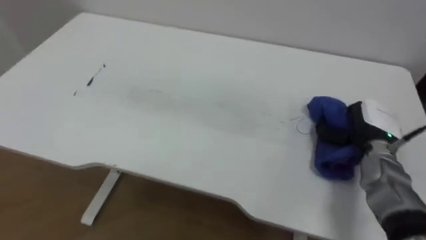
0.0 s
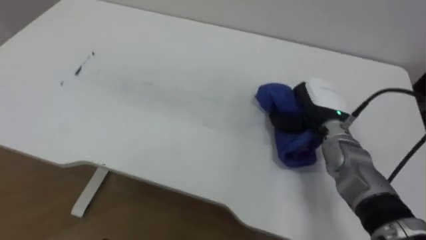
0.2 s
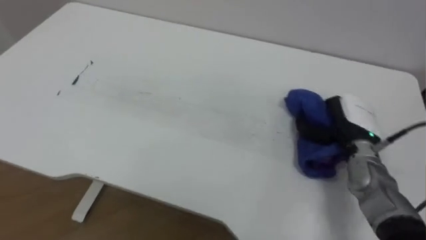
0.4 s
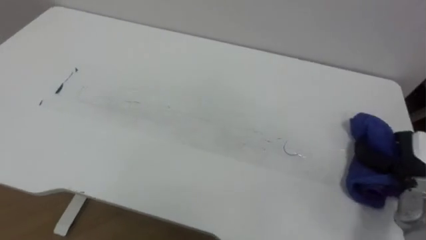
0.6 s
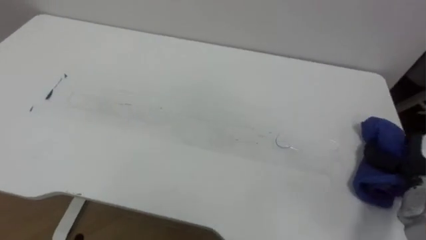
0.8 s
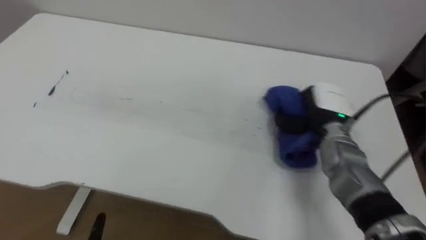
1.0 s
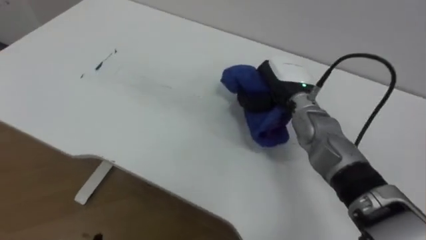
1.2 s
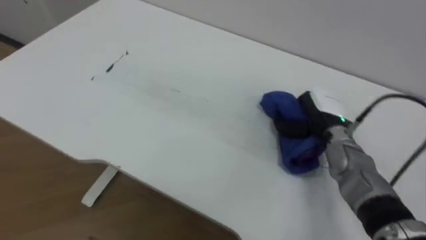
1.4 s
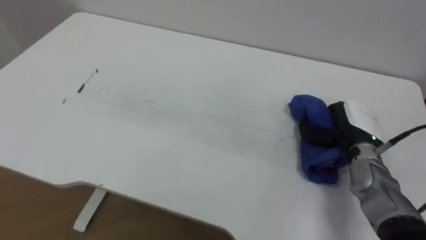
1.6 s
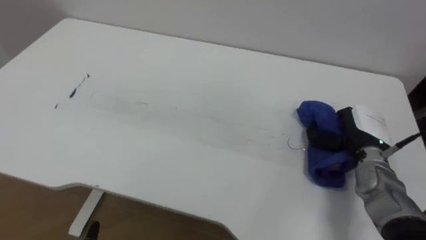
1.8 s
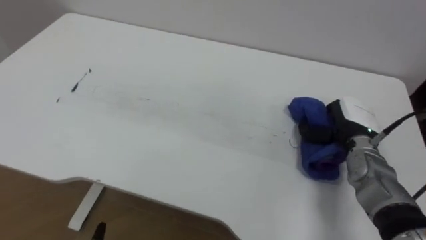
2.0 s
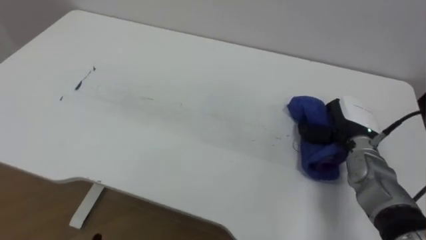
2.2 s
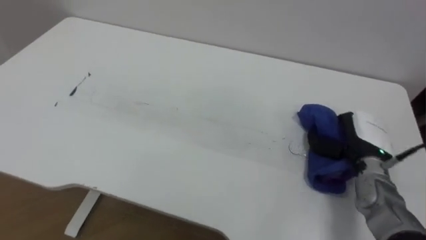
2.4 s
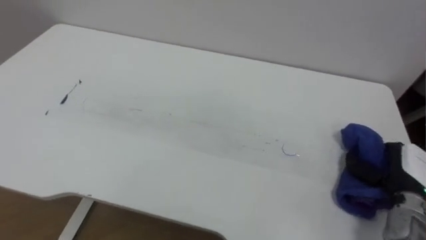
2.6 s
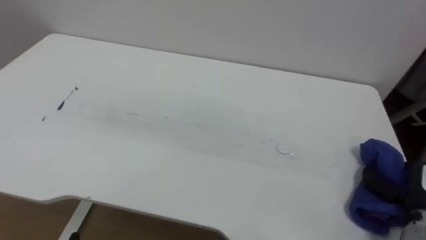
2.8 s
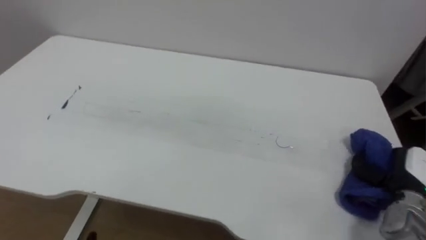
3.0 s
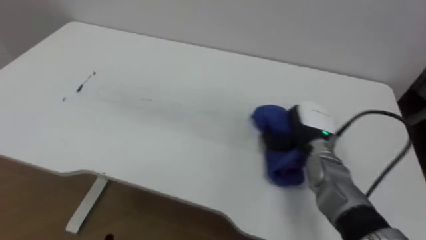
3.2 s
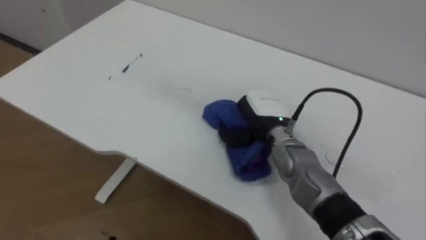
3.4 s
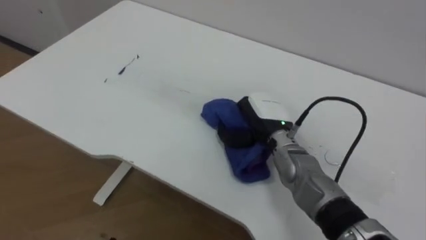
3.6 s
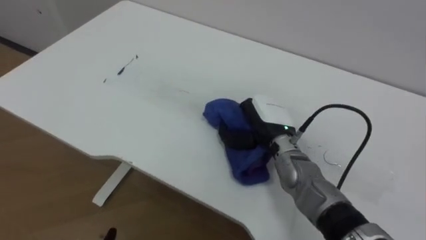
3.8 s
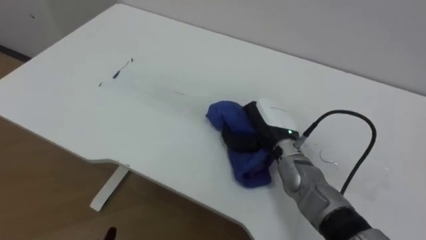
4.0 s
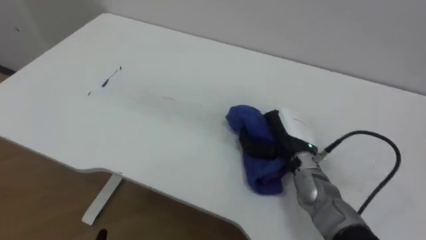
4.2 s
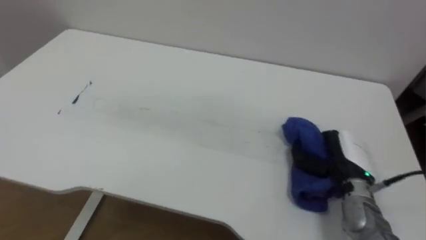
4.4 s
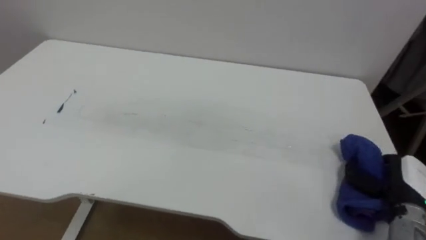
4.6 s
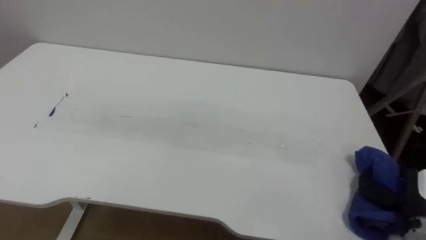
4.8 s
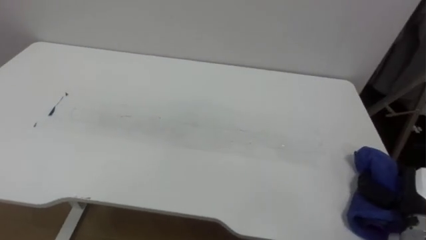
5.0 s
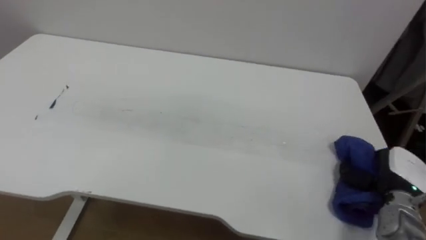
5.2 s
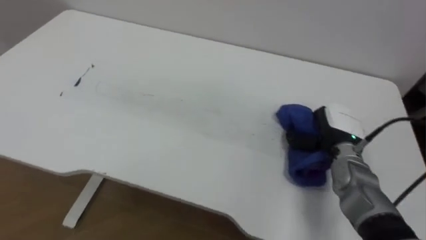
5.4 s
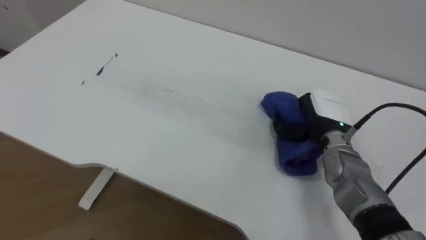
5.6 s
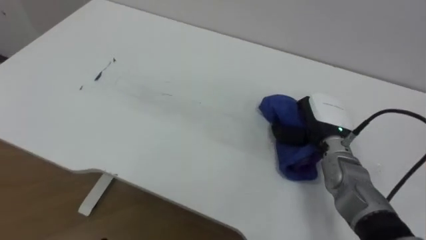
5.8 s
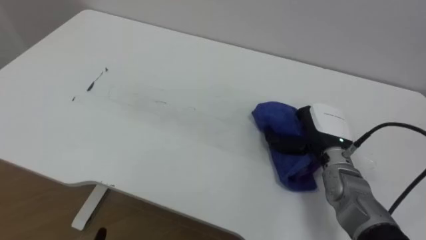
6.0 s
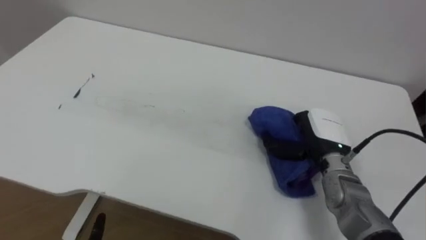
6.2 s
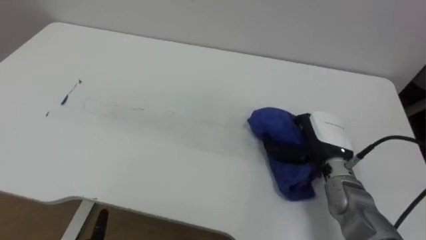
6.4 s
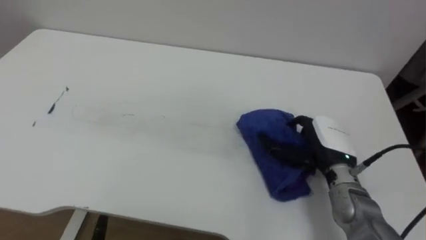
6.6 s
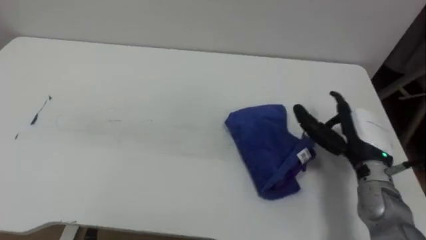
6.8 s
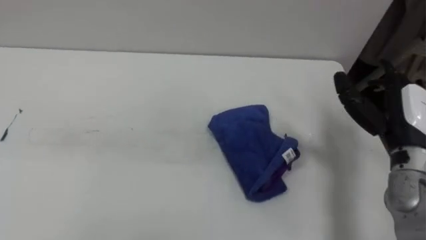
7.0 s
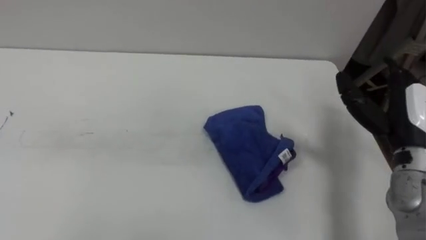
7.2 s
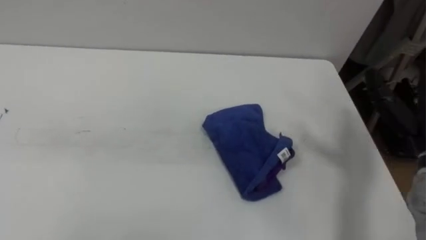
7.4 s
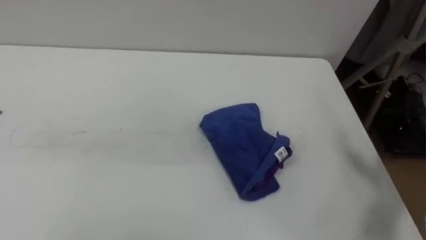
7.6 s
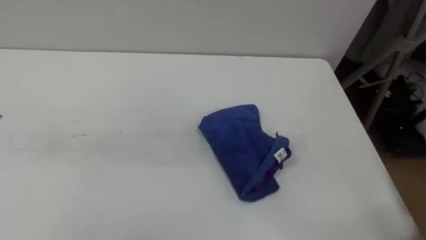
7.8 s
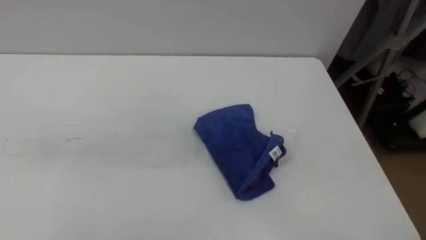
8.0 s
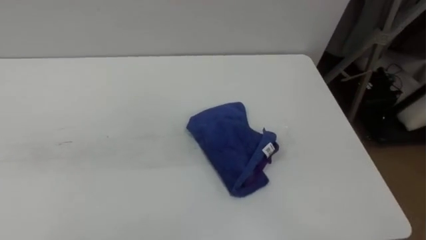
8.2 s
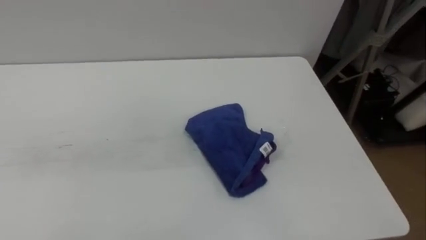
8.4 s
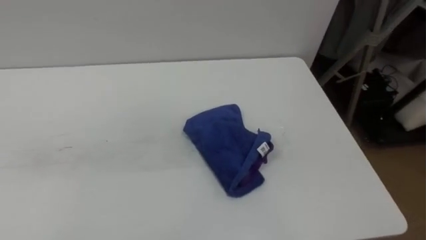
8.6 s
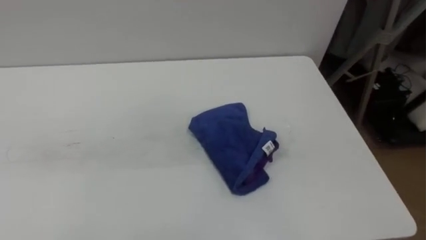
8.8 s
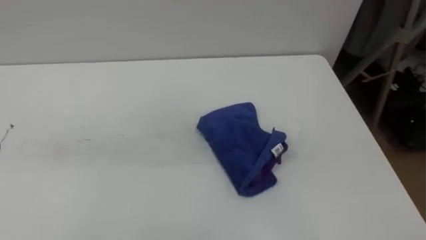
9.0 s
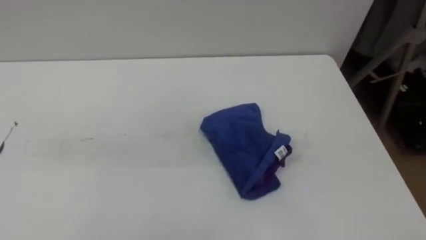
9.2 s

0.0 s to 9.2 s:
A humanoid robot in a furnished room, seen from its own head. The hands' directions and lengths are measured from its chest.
Task of the whole recording: Wipe the blue pen marks off the table with the rag.
0.0 to 1.6 s: The right hand goes left and right, roughly 25 cm each way, reversing 3 times.
1.6 to 3.0 s: The right hand is displaced backward and to the right by about 10 cm.
3.0 to 4.6 s: The right hand reaches about 25 cm to the left, then returns.
4.6 to 6.2 s: The right hand goes some 15 cm to the left and forward.

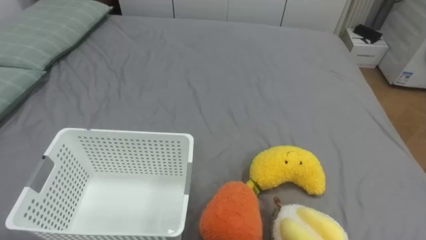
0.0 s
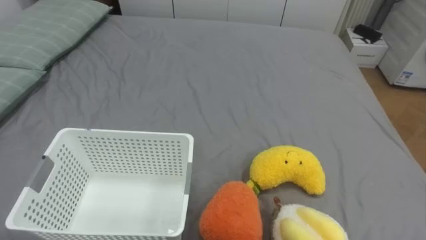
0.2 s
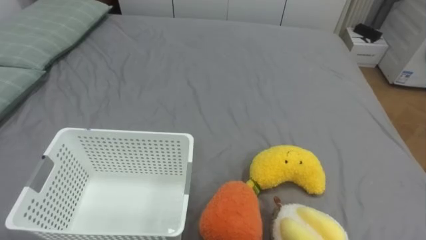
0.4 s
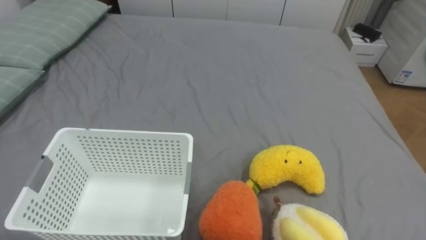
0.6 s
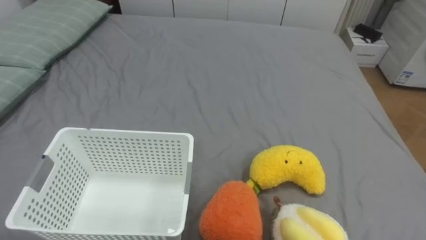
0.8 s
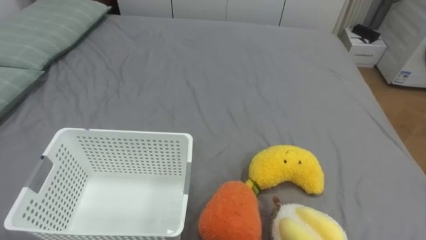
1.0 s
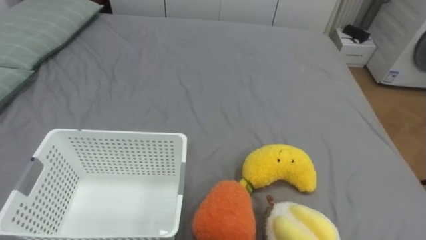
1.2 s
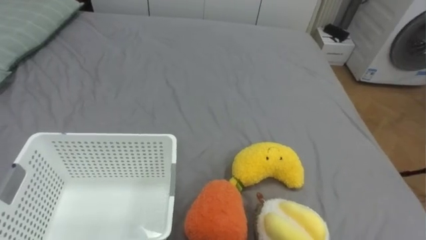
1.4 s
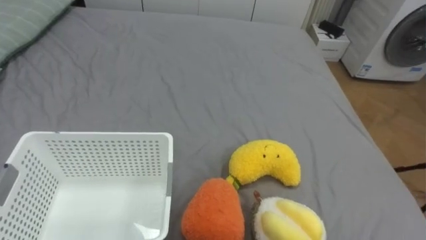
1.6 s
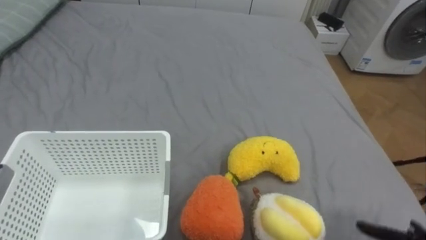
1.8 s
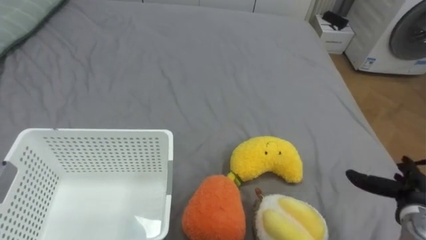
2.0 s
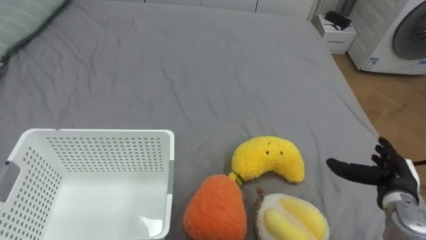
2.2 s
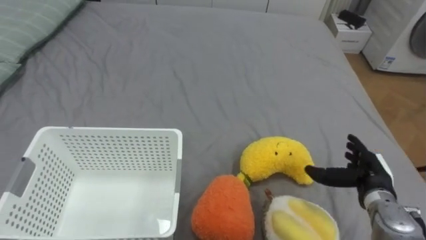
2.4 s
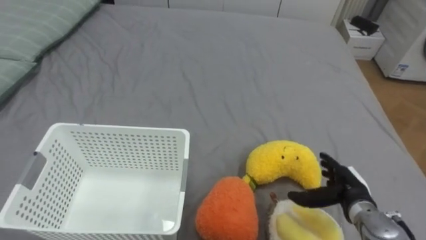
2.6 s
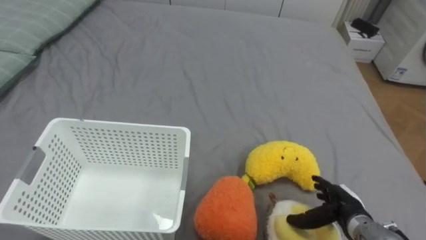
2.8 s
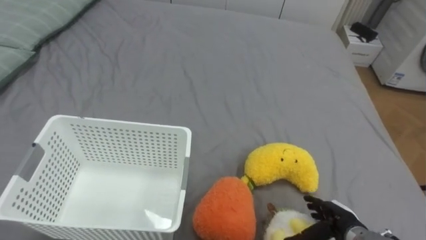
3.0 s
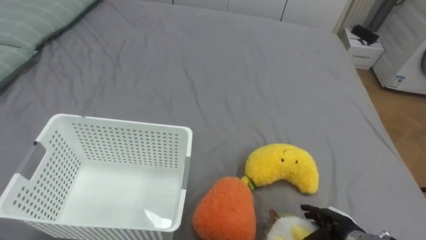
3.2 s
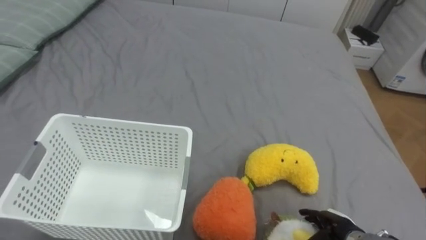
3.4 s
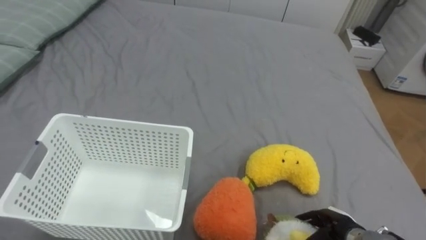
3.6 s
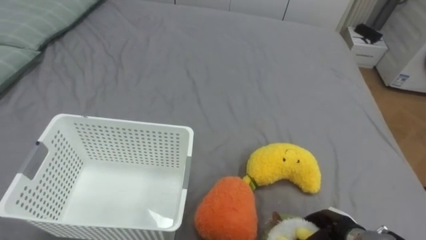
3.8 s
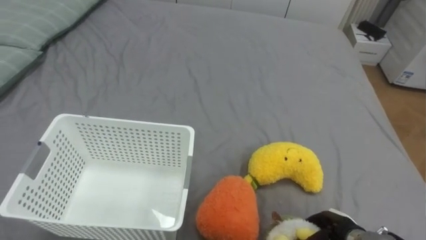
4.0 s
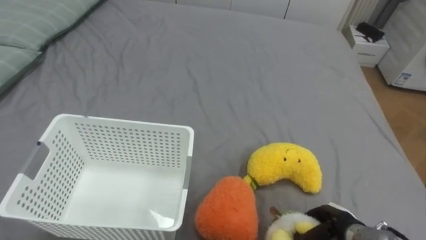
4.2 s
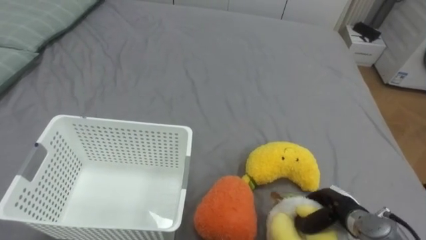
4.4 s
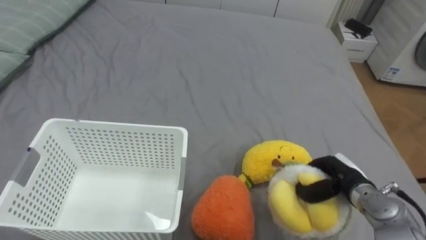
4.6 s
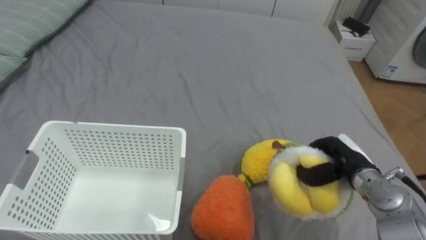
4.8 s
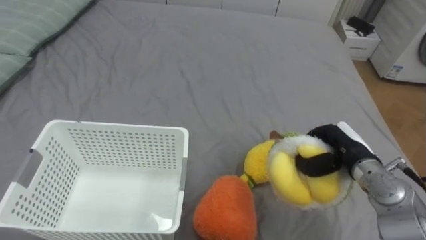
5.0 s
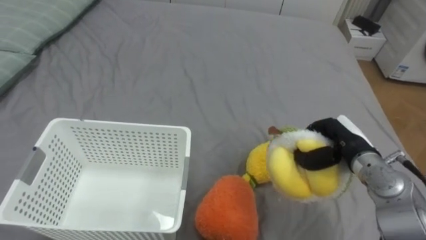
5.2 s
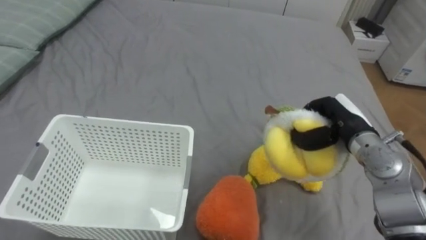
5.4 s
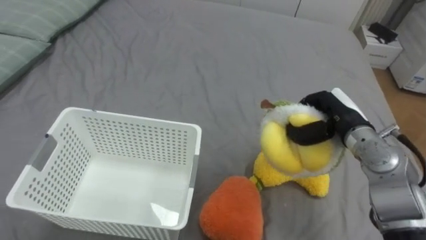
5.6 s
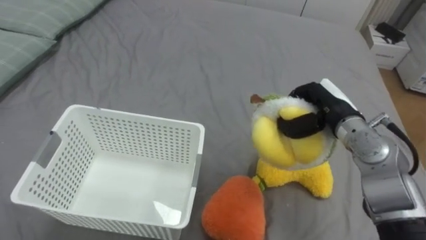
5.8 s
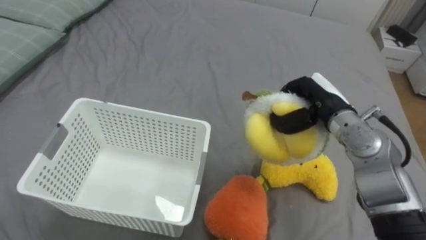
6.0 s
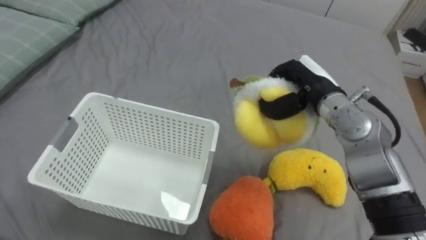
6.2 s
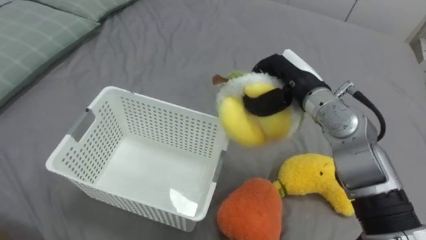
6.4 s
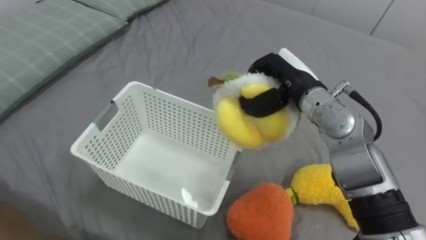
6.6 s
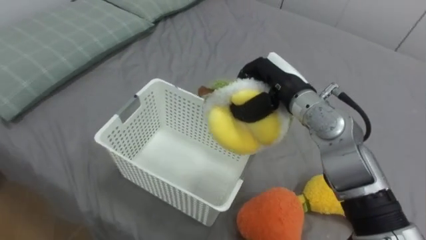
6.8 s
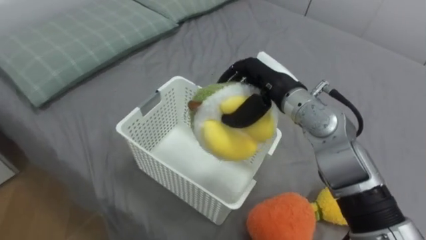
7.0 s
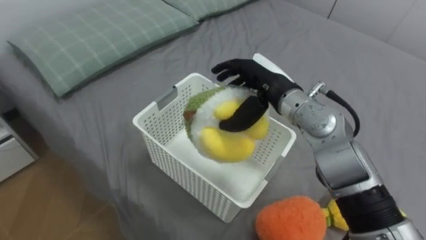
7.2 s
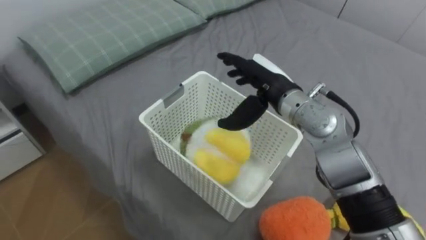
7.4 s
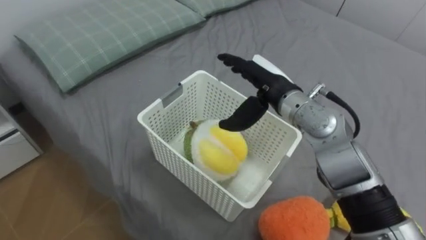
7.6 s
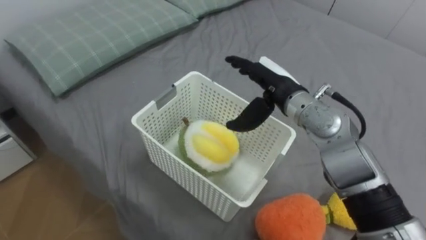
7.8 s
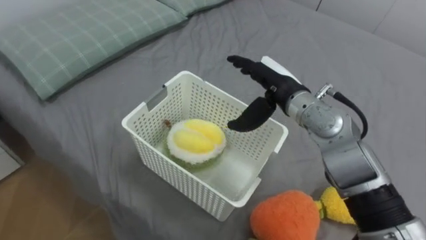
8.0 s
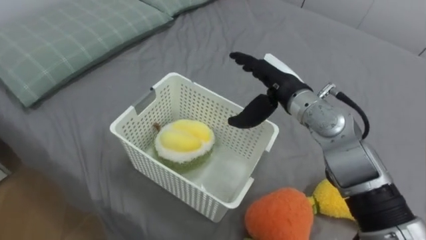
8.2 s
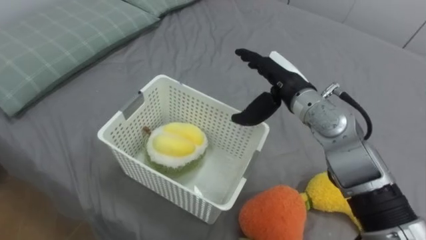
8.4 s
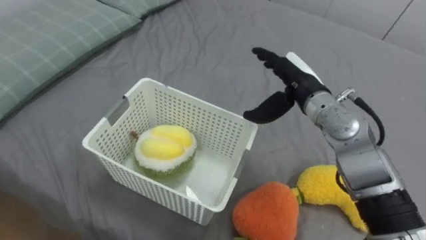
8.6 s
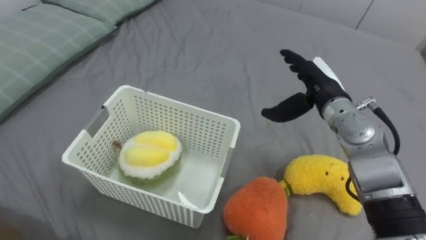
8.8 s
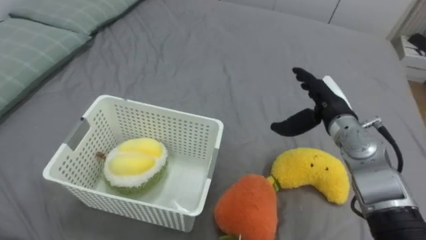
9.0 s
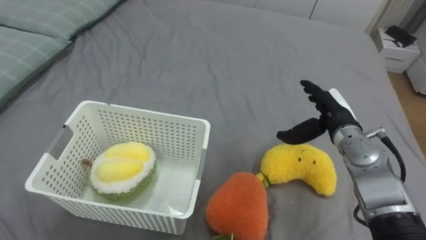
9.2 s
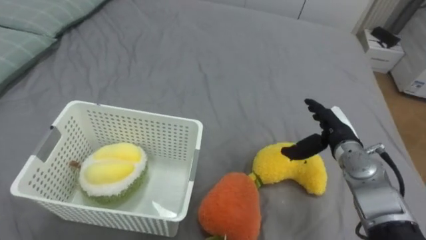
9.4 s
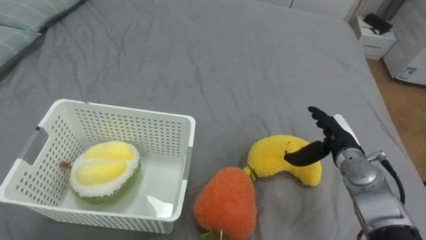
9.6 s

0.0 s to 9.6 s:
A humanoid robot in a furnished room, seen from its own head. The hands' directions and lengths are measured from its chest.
Task of the whole recording: Put the toys on the bed into the basket on the left.
3.2 to 4.8 s: The right hand is displaced upward and forward by some 15 cm, and closes.
4.8 to 6.4 s: The right hand travels upward, to the left and forward by approximately 20 cm.
6.4 to 8.0 s: The right hand opens.
8.0 to 9.6 s: The right hand shifts approximately 20 cm to the right and downward.
